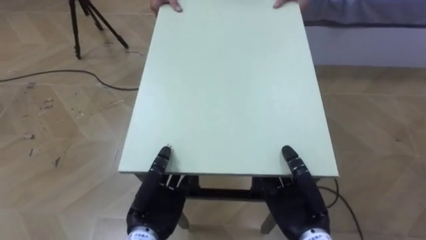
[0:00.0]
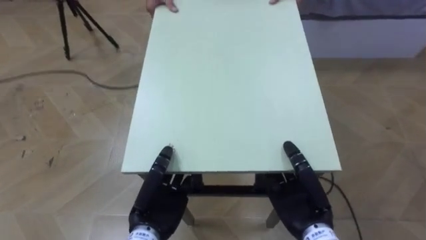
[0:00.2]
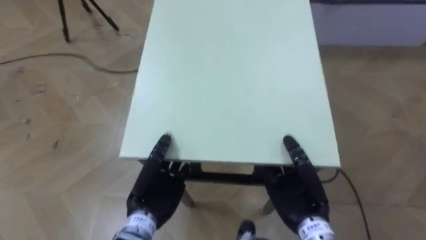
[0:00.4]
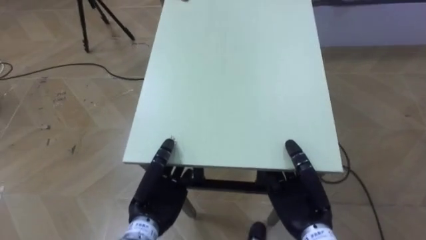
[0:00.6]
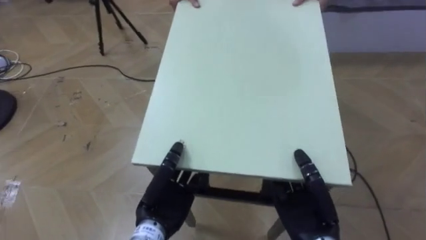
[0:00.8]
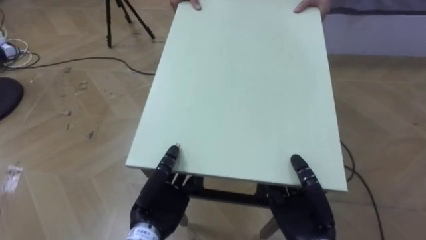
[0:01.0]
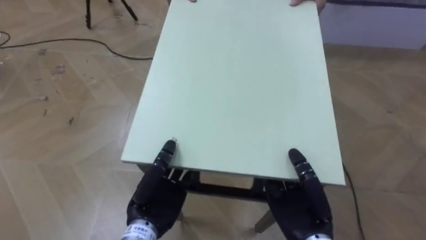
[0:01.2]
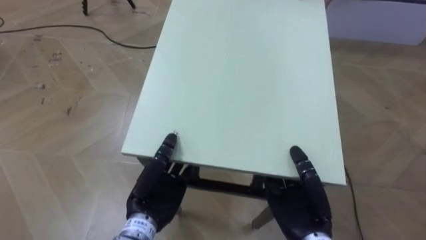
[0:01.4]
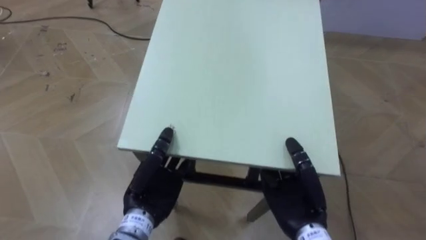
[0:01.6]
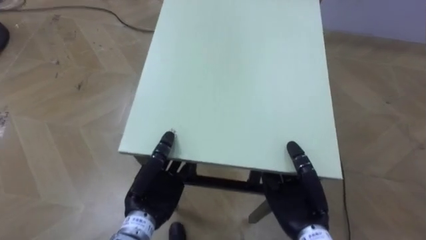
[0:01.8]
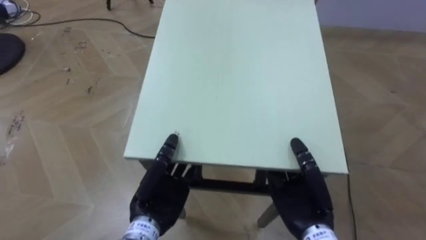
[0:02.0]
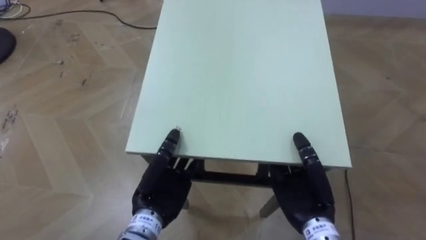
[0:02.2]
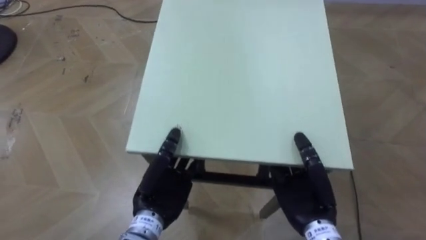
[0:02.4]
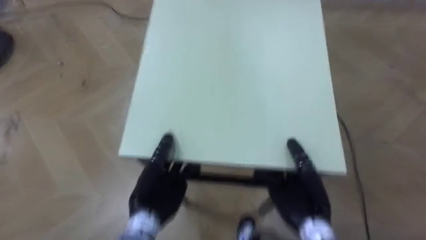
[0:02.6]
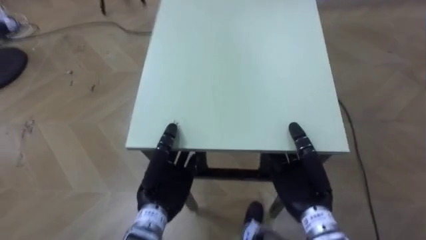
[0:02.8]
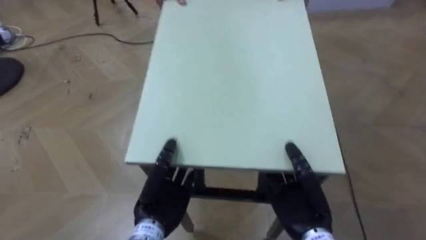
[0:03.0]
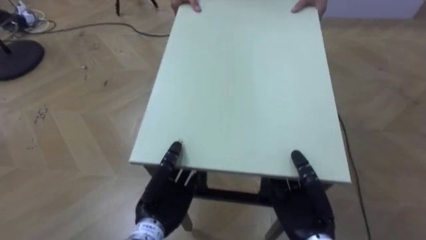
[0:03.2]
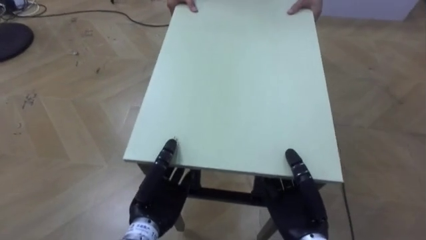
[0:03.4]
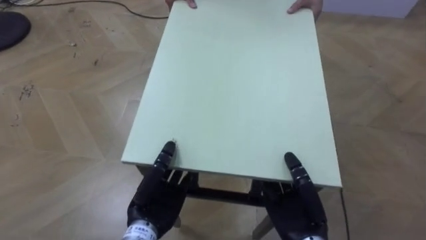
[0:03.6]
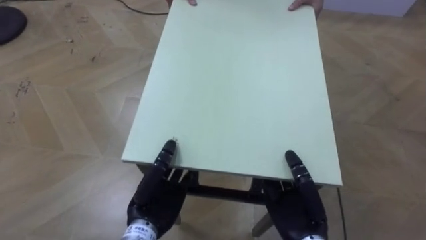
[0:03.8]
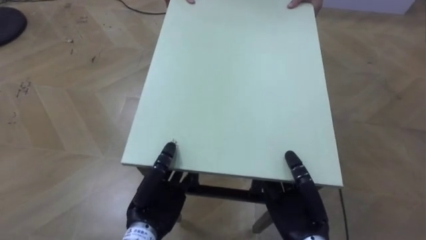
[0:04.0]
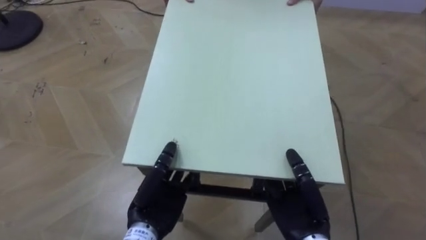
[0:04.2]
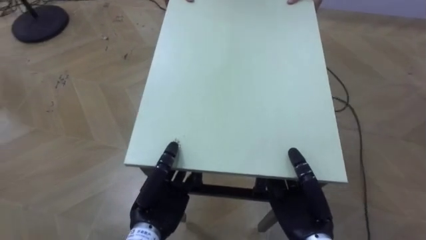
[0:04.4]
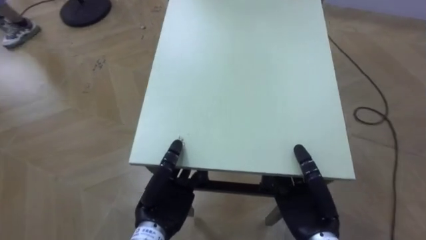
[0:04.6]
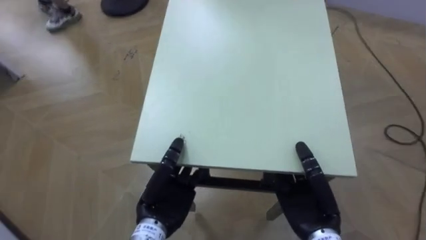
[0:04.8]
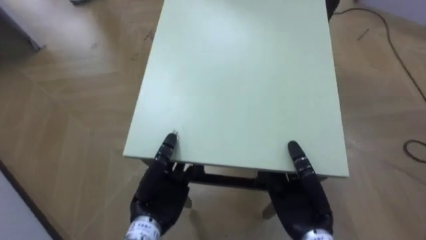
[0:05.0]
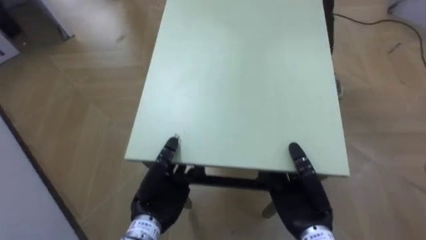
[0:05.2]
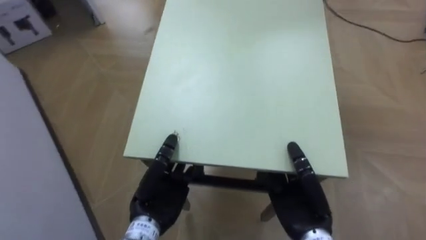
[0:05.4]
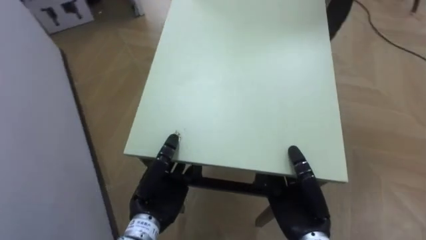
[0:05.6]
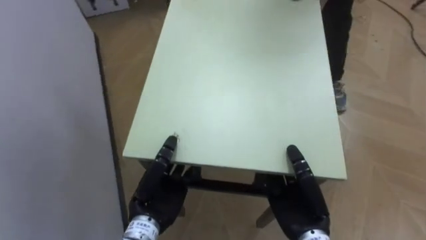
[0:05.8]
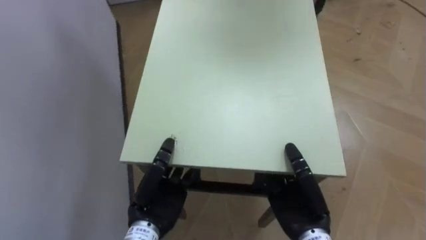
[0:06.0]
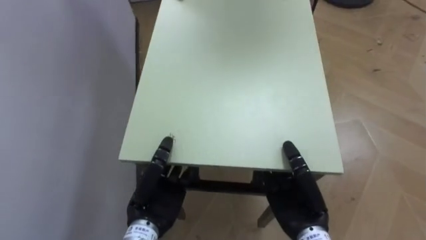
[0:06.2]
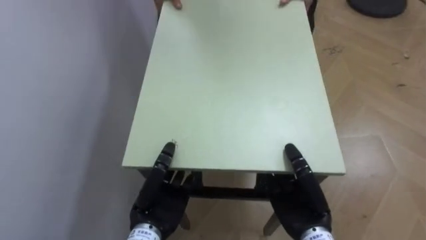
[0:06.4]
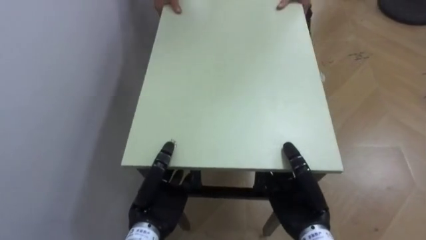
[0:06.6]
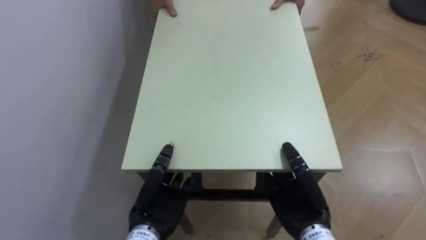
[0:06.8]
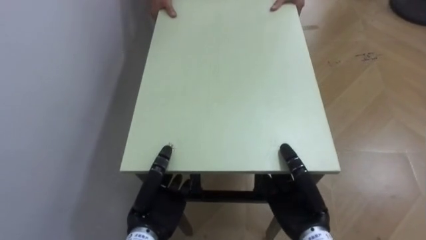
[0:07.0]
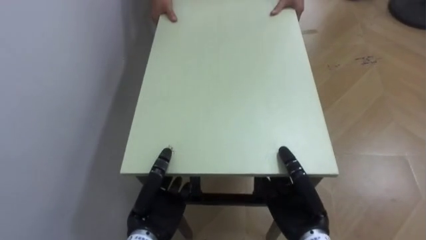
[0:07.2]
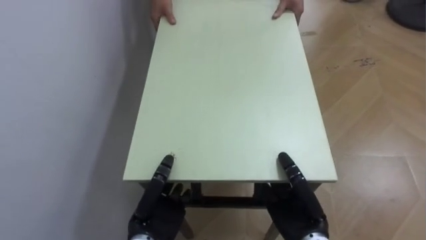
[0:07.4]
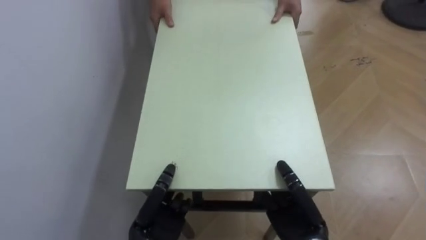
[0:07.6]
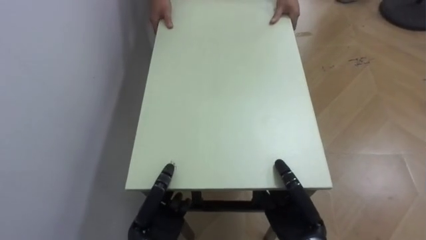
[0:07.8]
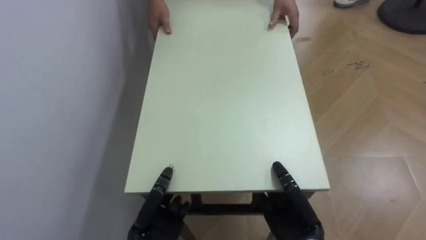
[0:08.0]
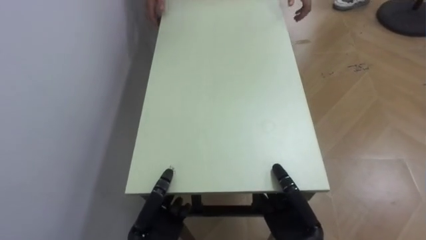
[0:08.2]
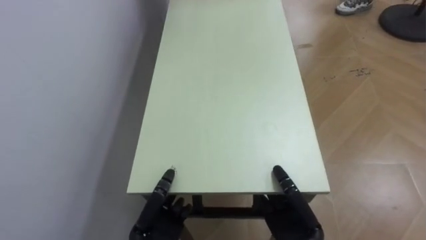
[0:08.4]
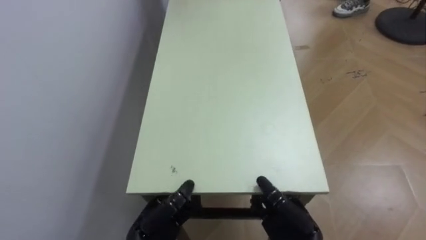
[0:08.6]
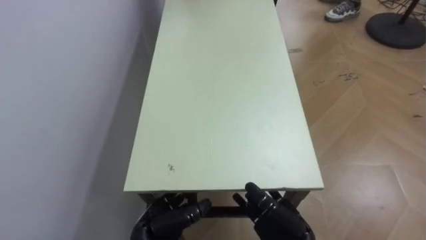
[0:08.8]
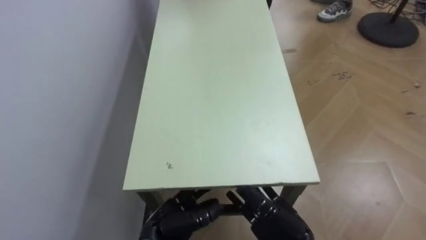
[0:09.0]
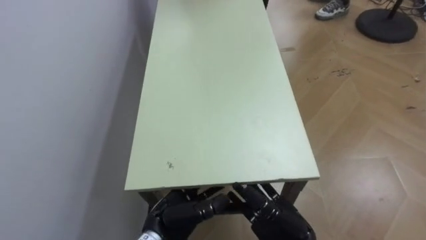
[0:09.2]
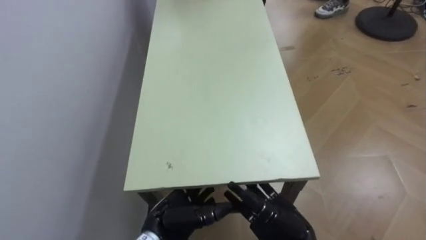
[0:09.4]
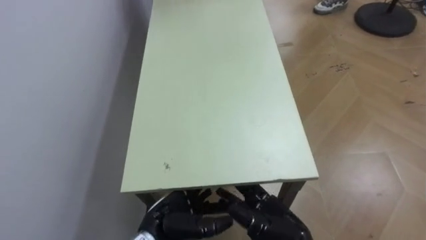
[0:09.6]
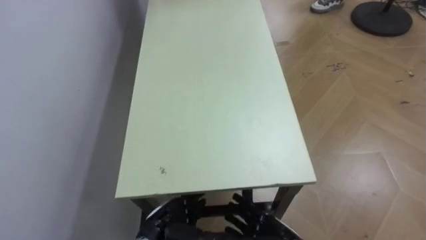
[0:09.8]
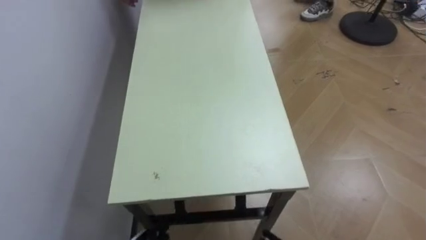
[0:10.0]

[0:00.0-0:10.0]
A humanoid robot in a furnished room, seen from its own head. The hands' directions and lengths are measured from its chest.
Task of the whole recording: Move the table to the back left with someone.
0:04.2 to 0:05.8: The robot rotates approximately 60 degrees to its left.
0:05.8 to 0:07.2: The robot faces some 25 degrees further to its left.
0:07.2 to 0:08.6: The right hand opens its fingers; the left hand travels downward by some 5 cm.

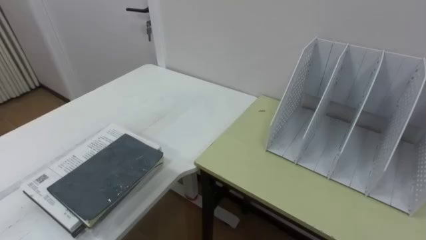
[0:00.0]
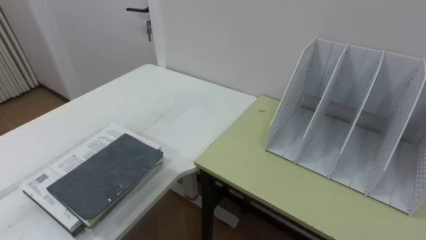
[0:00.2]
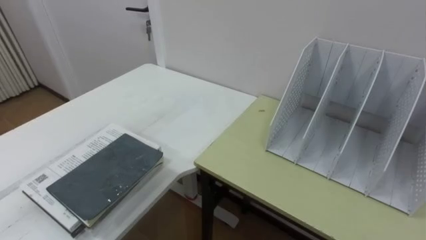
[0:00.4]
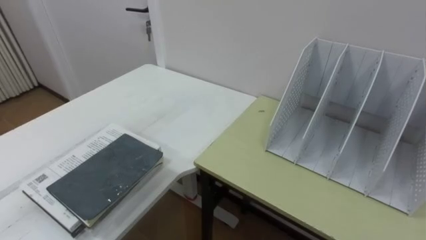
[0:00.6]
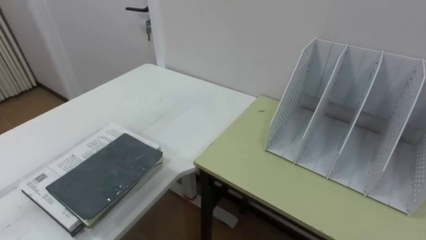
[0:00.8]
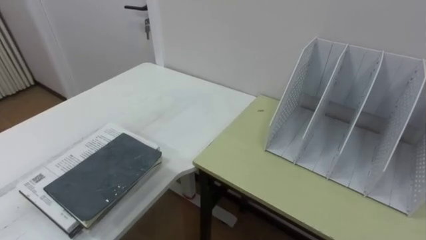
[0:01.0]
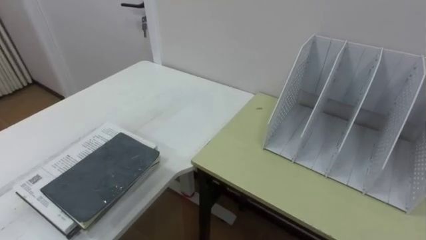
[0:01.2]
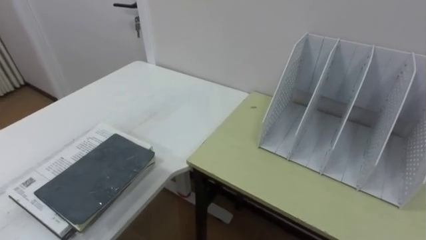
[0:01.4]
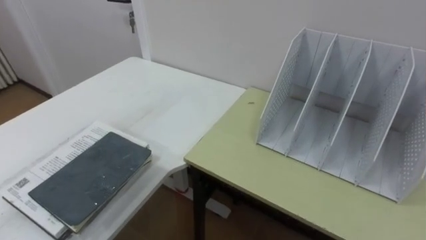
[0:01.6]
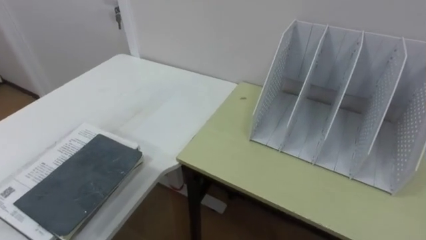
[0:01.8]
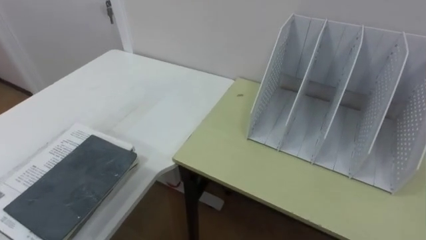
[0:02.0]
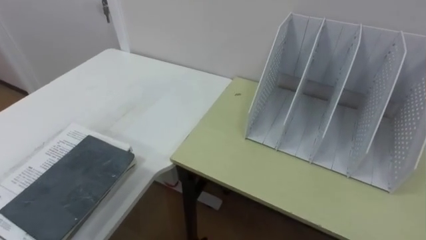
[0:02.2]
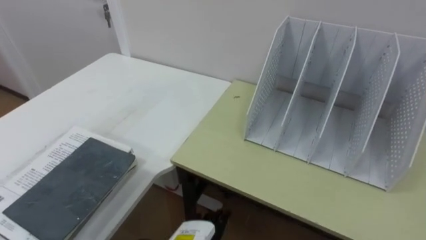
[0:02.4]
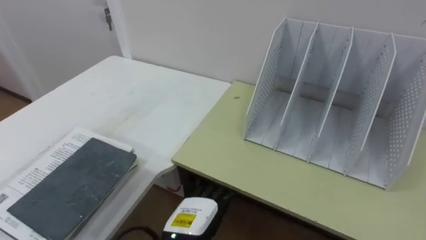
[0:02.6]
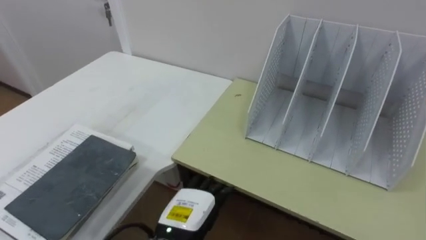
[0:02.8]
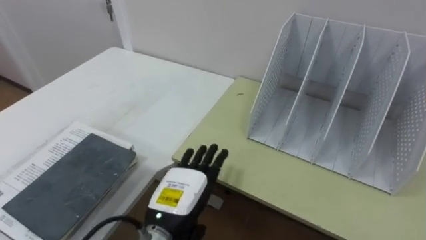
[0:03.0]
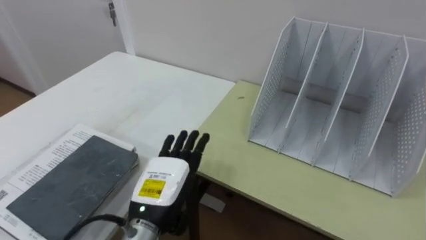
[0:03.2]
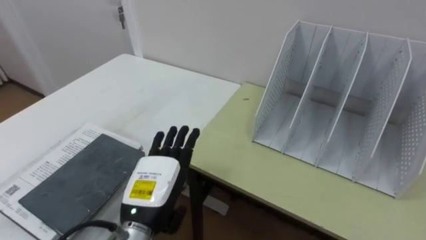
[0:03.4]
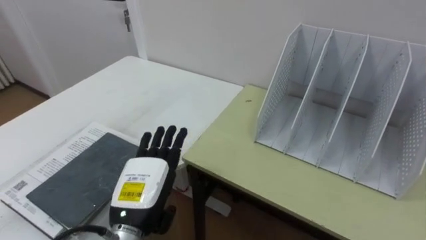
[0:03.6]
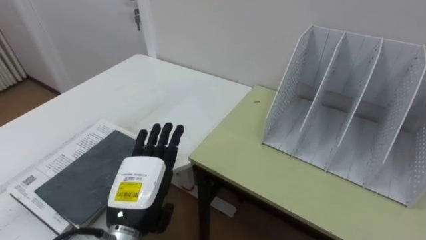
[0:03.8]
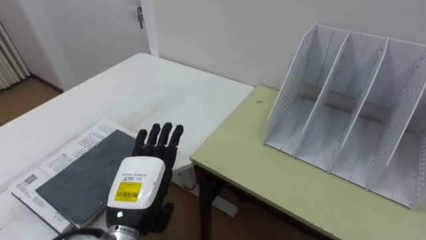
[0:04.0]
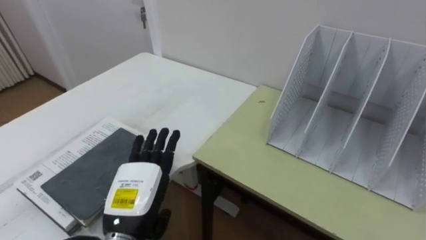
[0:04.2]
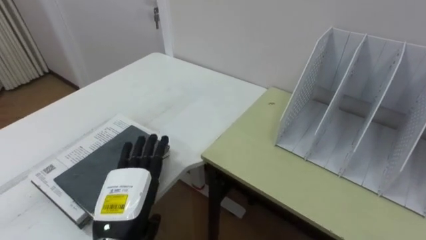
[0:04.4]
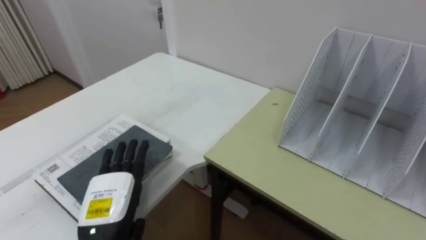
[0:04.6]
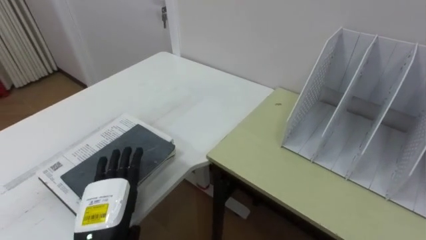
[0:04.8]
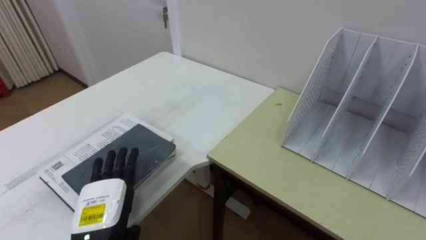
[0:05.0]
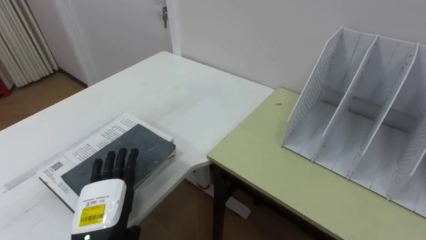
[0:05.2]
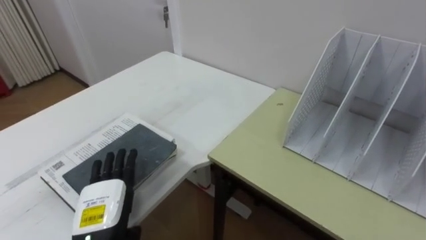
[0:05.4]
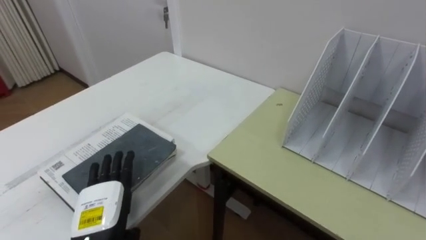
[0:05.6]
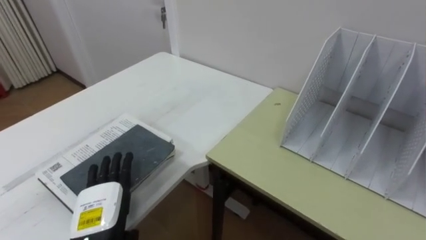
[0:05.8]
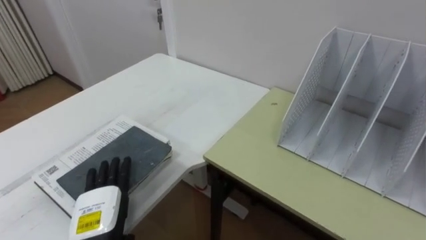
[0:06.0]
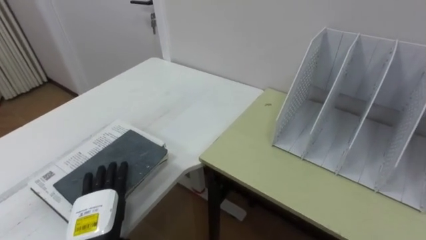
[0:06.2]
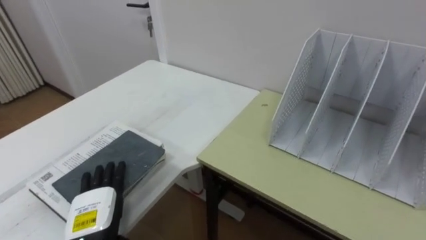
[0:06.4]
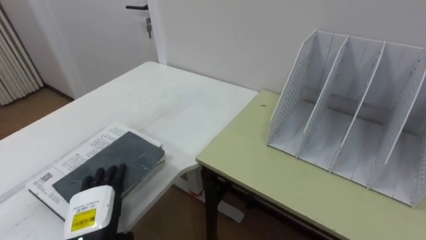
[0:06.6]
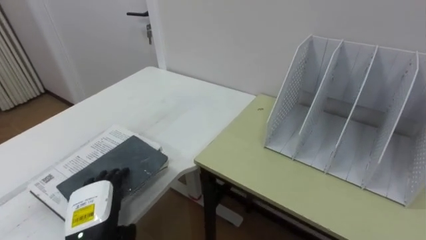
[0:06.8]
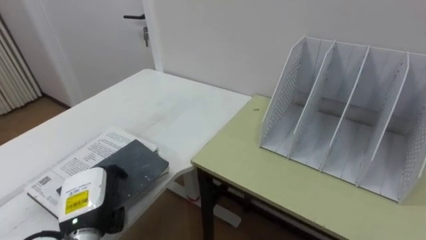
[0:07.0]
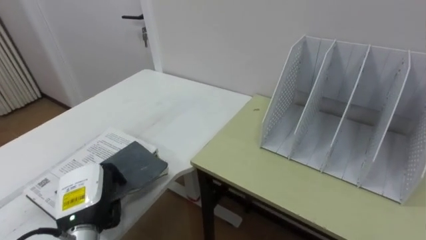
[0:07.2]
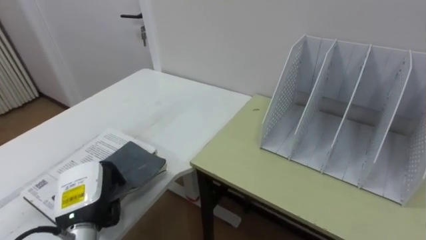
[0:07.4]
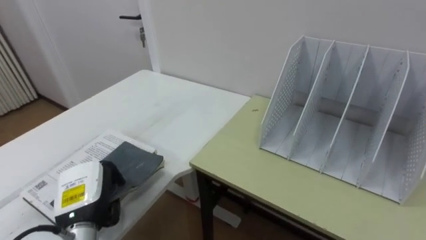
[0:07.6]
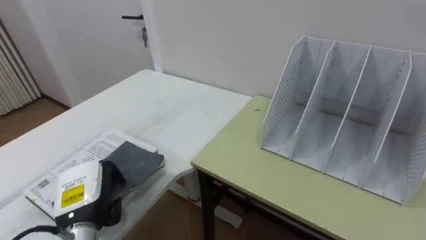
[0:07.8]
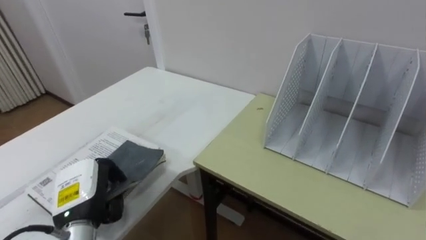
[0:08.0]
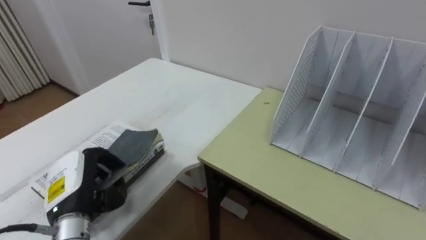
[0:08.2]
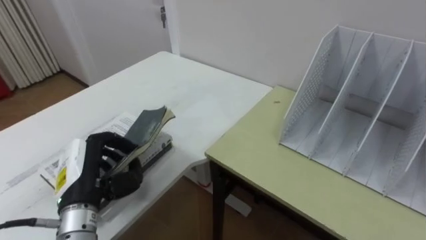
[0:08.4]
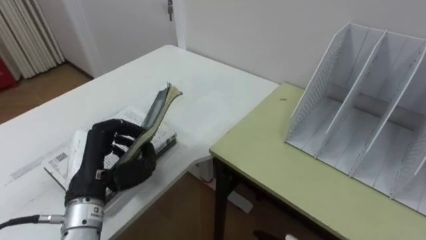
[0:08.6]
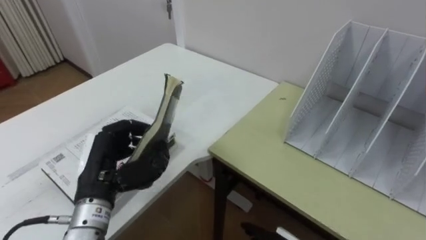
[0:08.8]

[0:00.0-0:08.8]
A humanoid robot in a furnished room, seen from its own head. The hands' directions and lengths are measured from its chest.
Task of the whole recording: Put the books on the table onto the bookshelf.
0:03.0 to 0:04.4: The left hand heads to the left, covering about 10 cm.
0:04.4 to 0:05.8: The left hand moves approximately 5 cm.
0:05.8 to 0:07.4: The left hand closes.
0:07.4 to 0:08.8: The left hand shifts roughly 5 cm upward.
